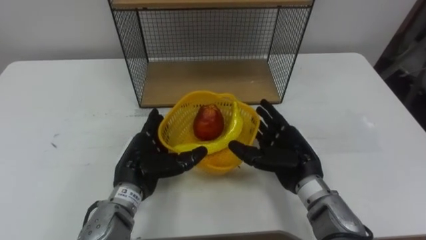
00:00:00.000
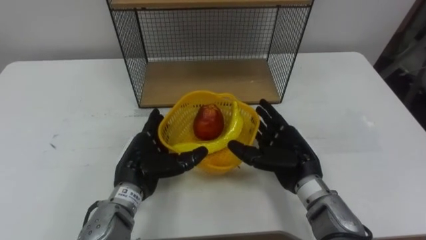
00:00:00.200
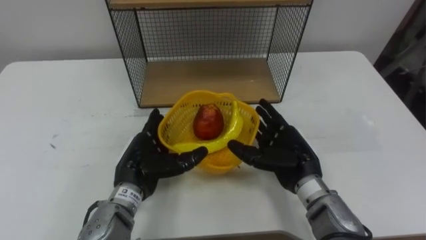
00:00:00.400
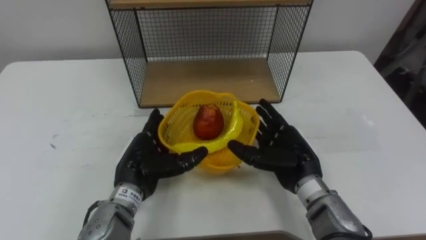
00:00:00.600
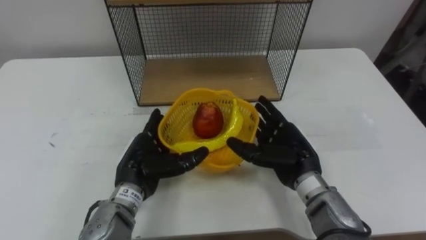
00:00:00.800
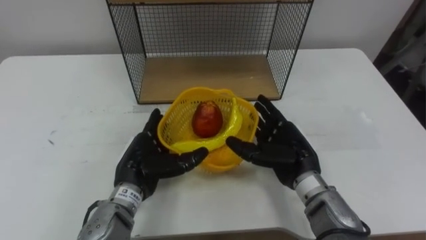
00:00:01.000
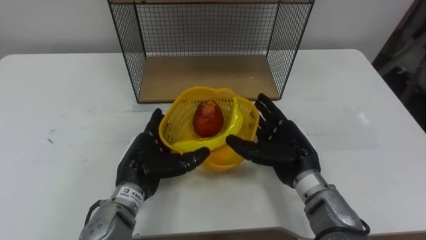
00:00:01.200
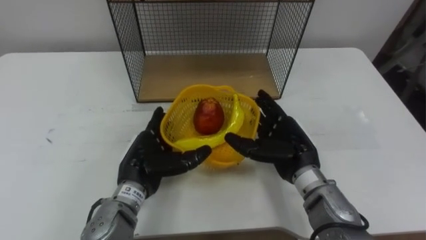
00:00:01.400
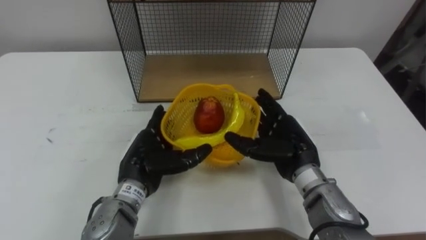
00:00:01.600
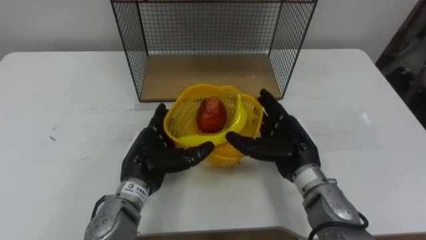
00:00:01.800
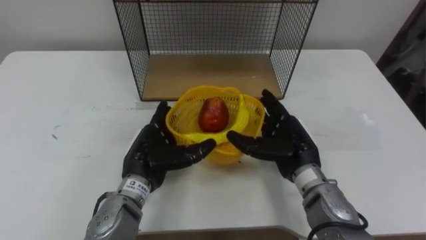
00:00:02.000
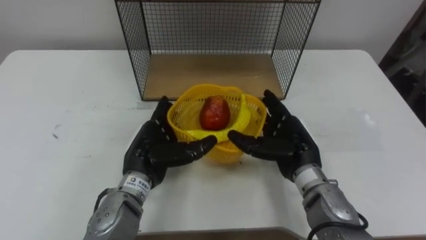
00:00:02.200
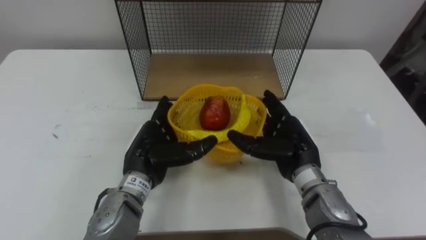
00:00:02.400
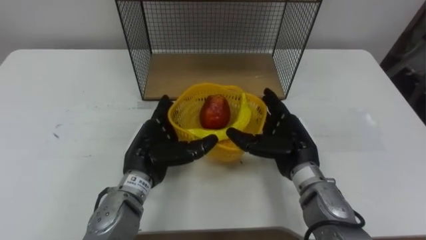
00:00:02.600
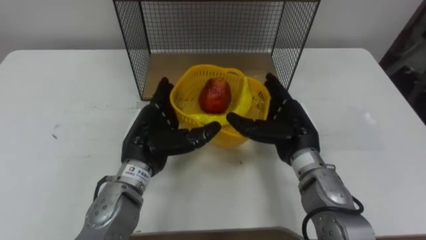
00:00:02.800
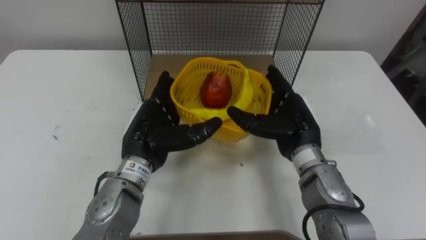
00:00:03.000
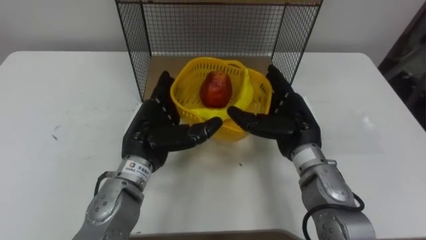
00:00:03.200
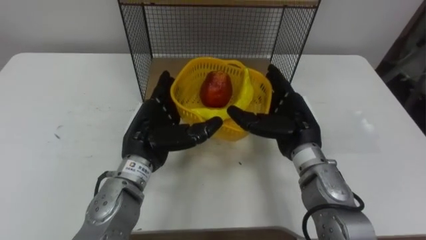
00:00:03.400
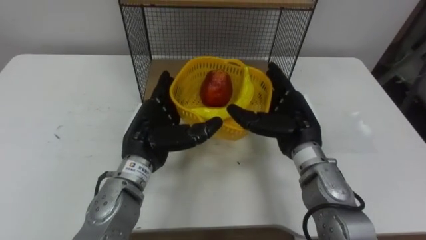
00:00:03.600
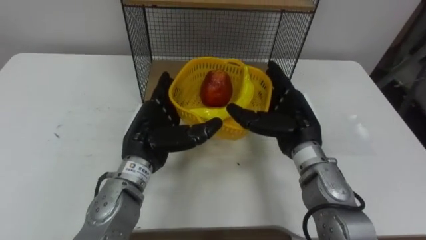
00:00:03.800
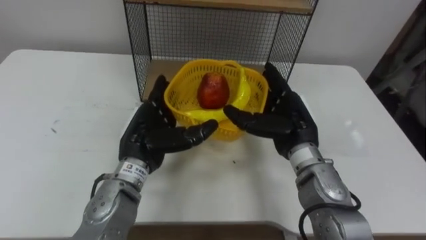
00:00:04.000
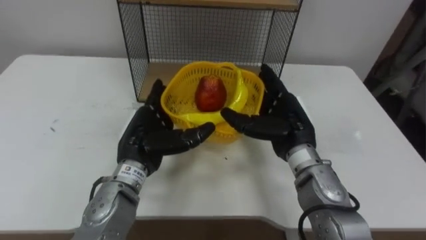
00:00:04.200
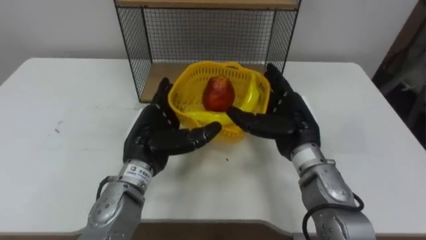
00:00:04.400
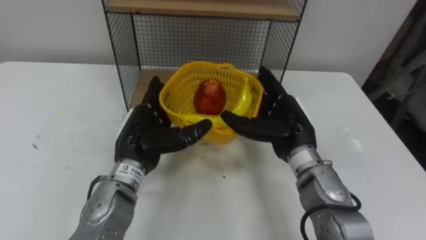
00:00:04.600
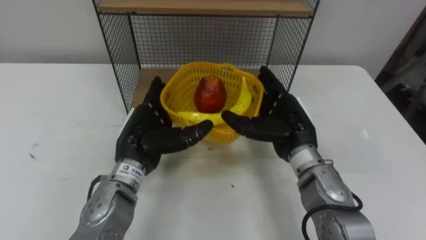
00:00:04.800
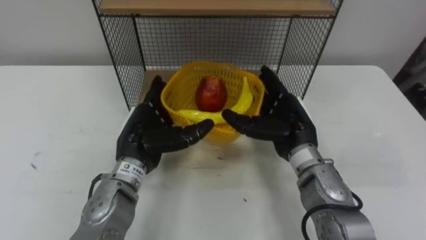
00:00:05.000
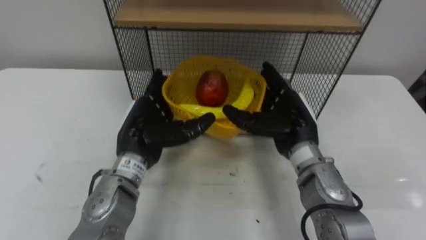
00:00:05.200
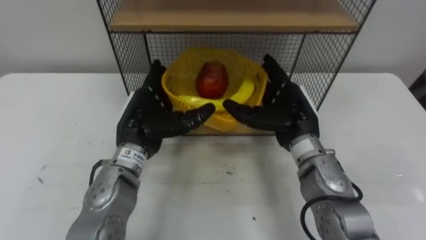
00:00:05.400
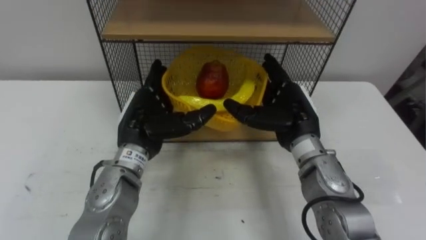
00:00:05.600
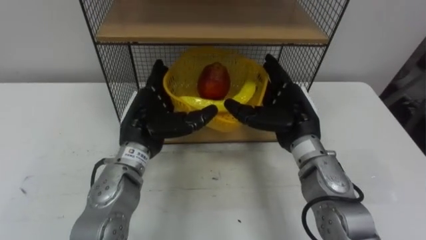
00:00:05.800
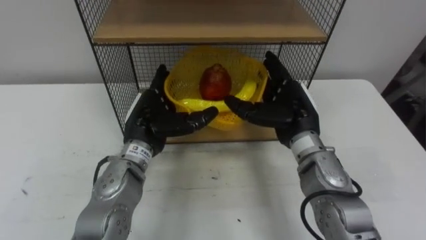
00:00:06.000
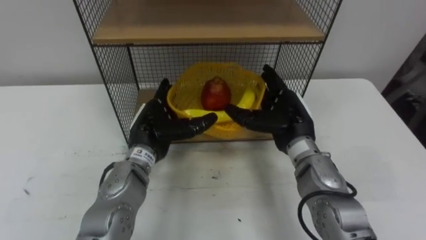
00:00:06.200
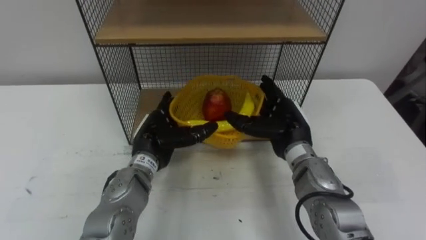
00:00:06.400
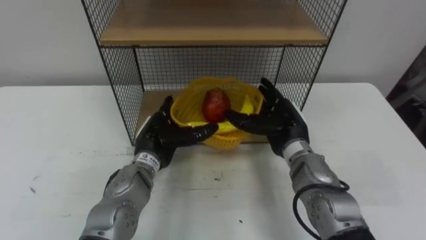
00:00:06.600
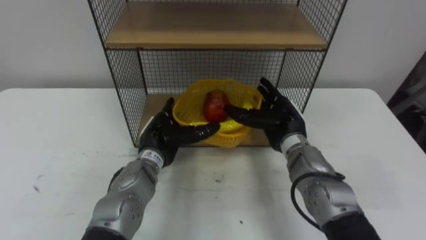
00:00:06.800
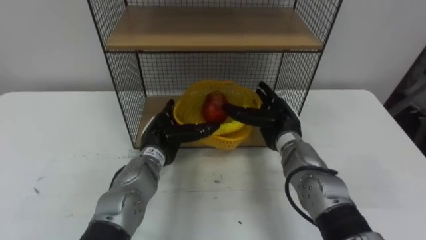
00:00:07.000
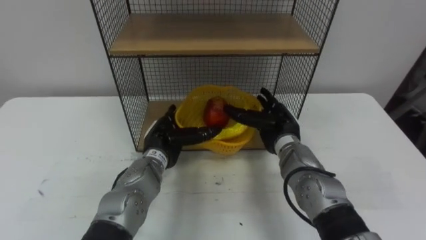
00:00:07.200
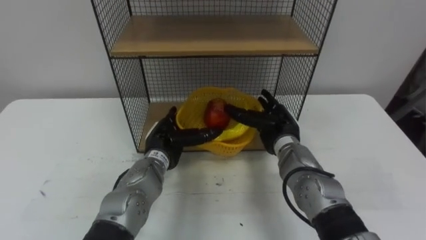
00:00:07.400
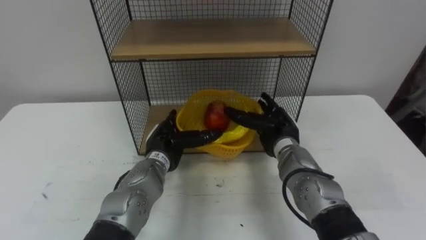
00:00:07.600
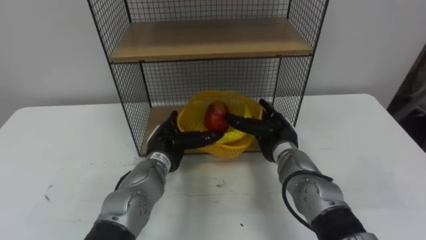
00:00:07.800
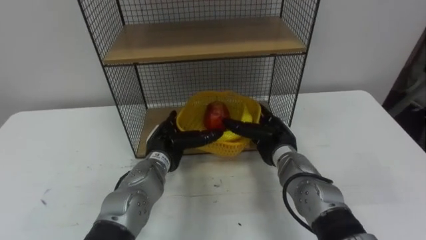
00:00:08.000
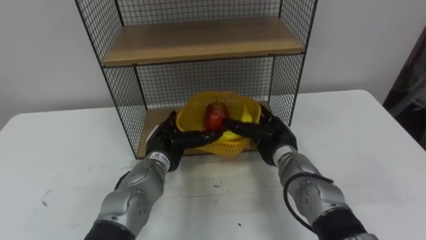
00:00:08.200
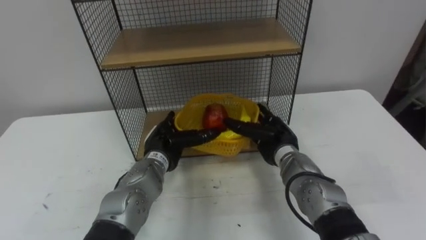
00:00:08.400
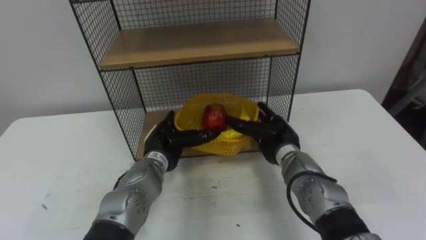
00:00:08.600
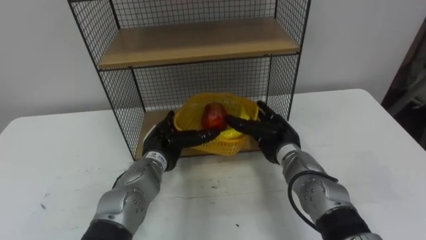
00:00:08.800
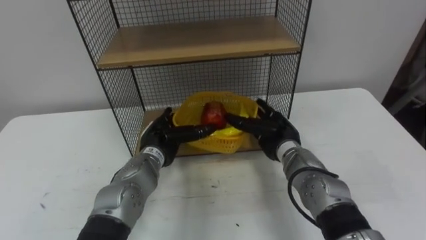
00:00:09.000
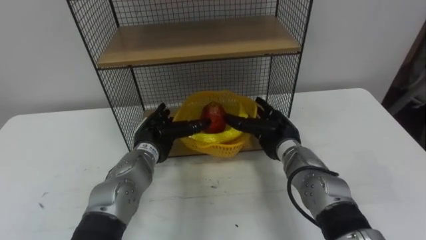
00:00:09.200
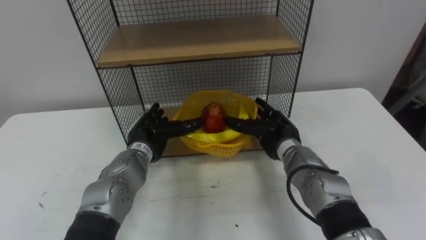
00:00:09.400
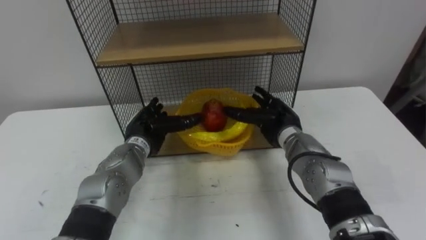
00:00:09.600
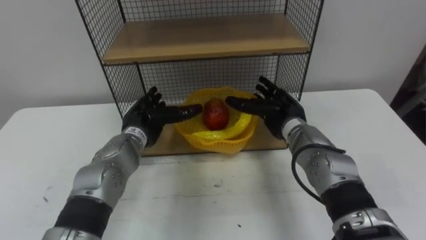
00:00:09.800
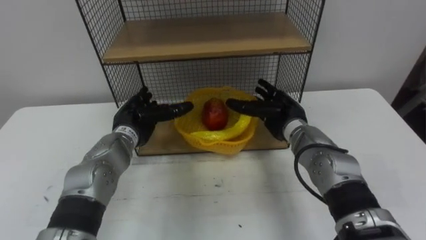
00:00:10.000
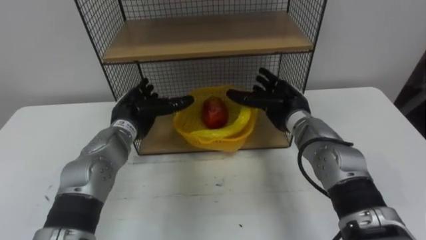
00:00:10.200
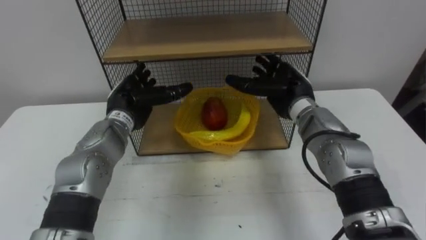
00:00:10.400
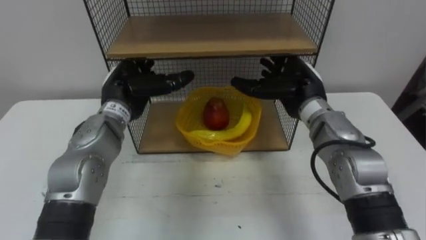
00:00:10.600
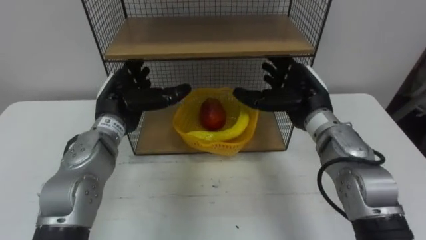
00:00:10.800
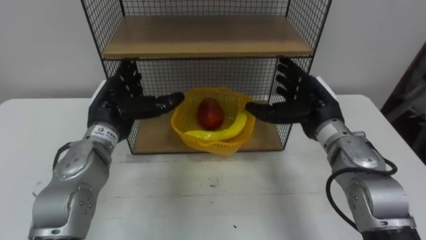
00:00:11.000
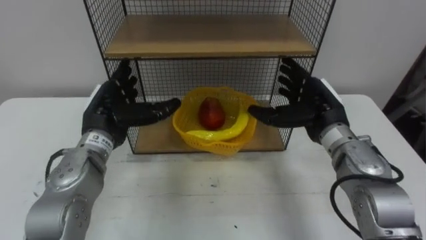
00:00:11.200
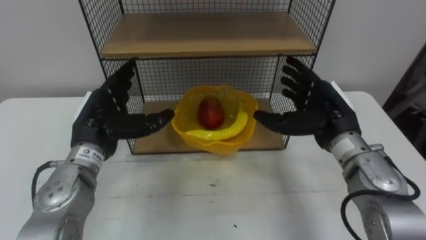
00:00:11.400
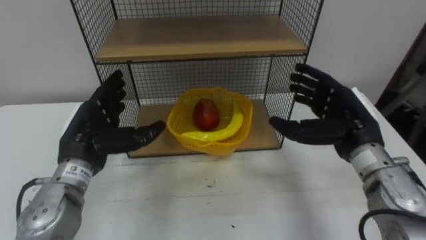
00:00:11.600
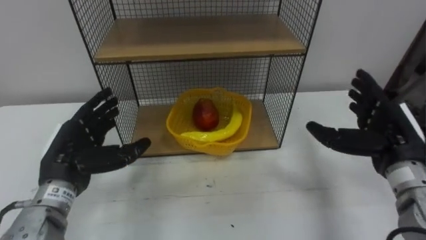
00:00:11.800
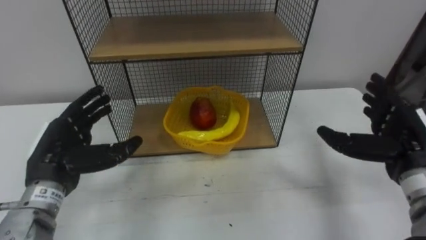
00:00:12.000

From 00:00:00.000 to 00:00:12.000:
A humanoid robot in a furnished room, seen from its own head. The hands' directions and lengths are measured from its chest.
Task of the whole recording: Put the fruit on the table into the basket, then place the basket on the shelf.
From 00:00:00.000 to 00:00:01.600: The hands move only a little.
From 00:00:01.600 to 00:00:03.000: The left hand travels upward by about 5 cm.
From 00:00:06.000 to 00:00:07.600: The two hands go some 10 cm downward.
From 00:00:09.000 to 00:00:10.400: The left hand shifts about 10 cm upward and to the left, while the right hand travels upward by about 10 cm.
From 00:00:10.400 to 00:00:12.000: The right hand moves to the right and backward, some 20 cm. The left hand is displaced backward and to the left by approximately 15 cm.

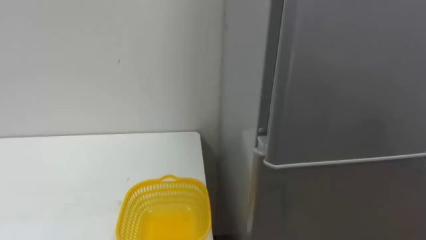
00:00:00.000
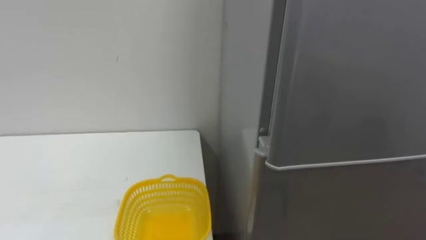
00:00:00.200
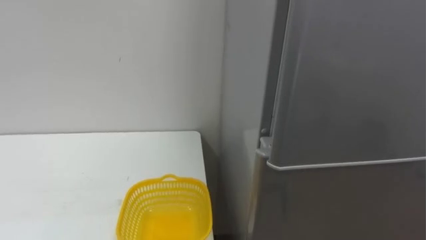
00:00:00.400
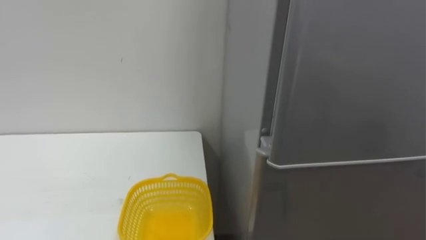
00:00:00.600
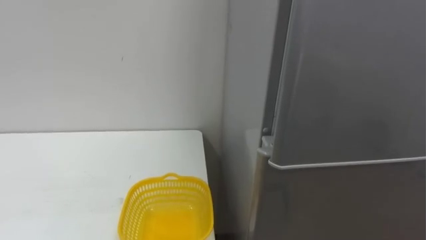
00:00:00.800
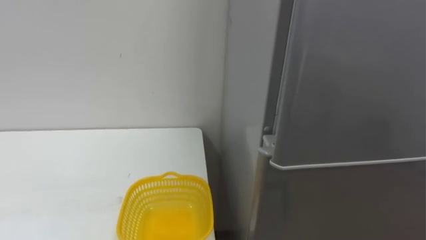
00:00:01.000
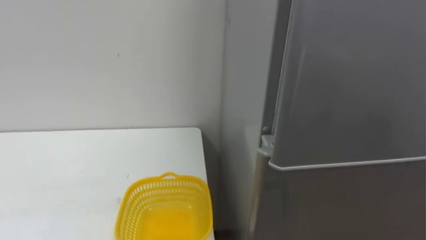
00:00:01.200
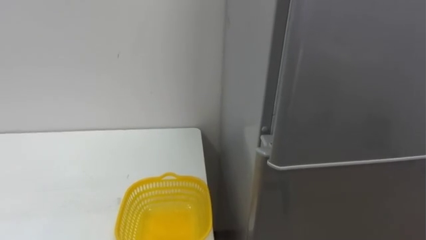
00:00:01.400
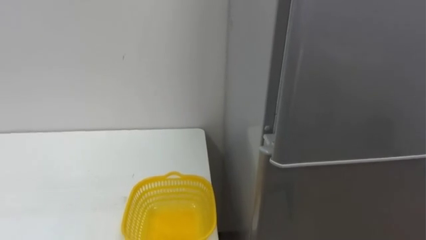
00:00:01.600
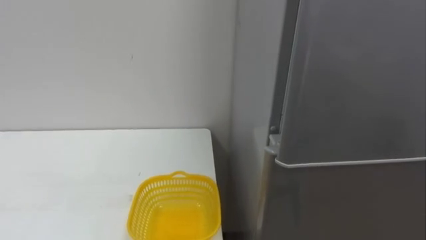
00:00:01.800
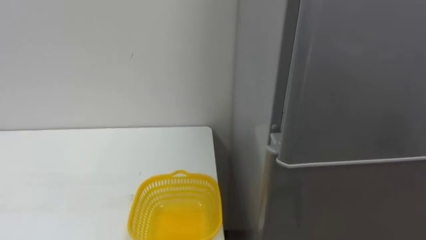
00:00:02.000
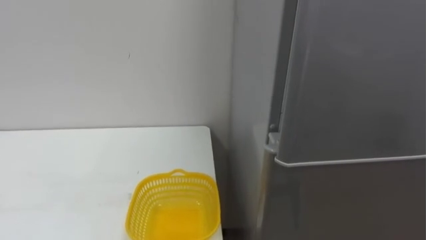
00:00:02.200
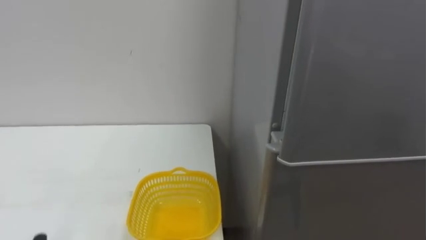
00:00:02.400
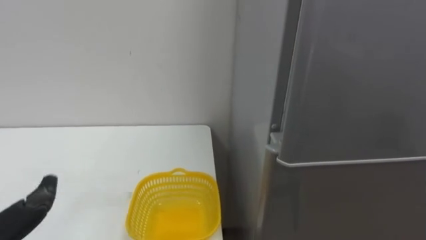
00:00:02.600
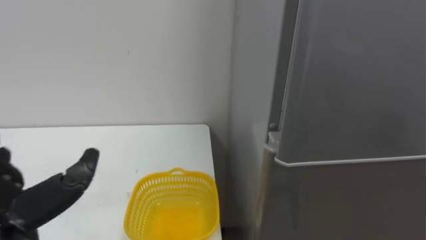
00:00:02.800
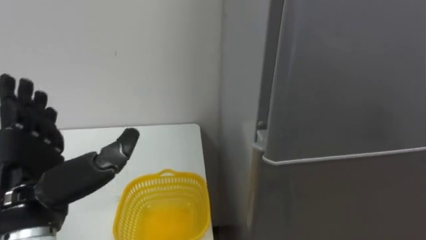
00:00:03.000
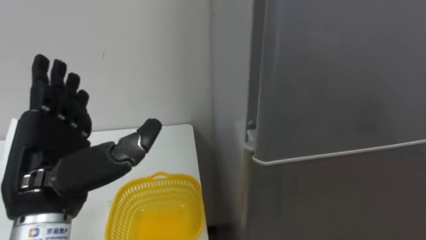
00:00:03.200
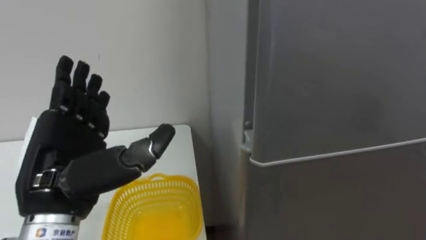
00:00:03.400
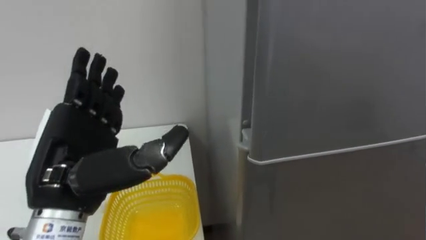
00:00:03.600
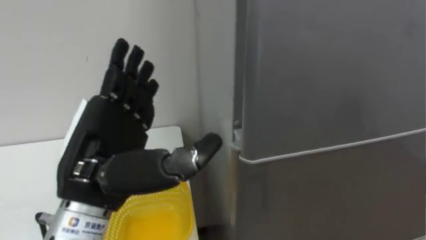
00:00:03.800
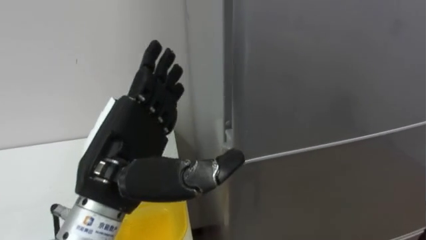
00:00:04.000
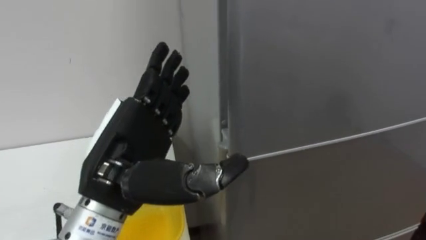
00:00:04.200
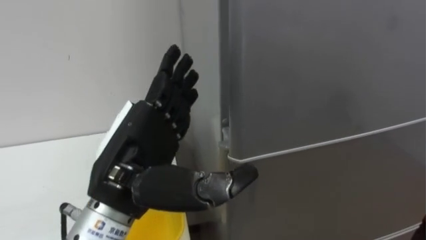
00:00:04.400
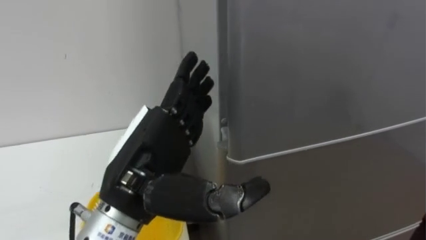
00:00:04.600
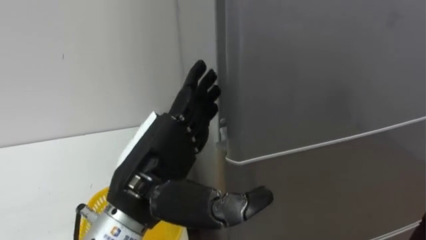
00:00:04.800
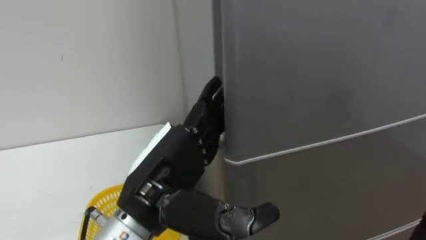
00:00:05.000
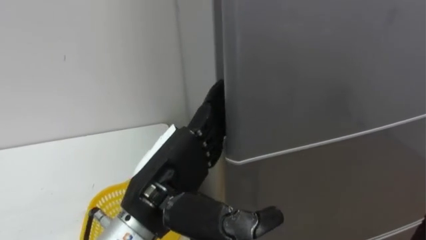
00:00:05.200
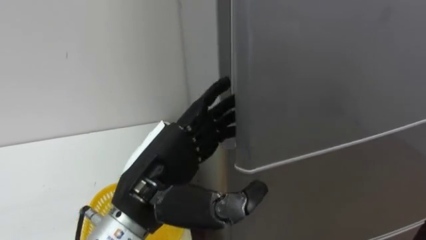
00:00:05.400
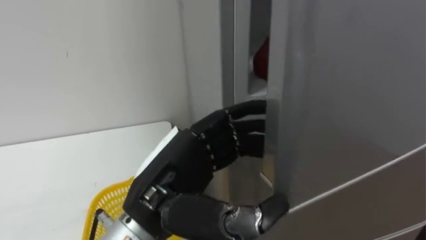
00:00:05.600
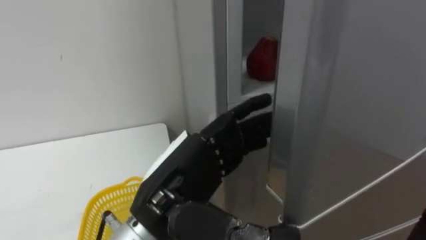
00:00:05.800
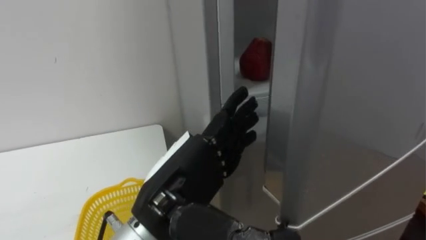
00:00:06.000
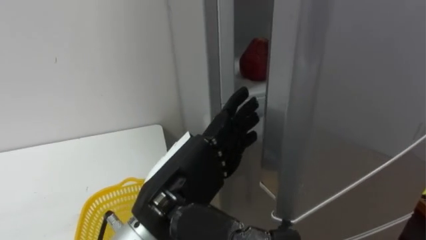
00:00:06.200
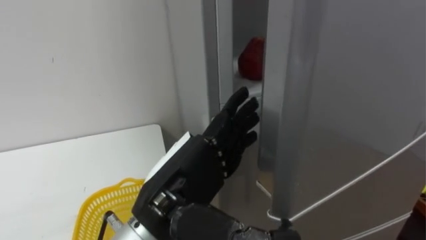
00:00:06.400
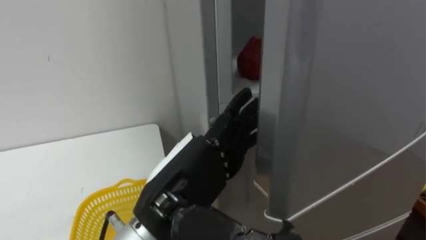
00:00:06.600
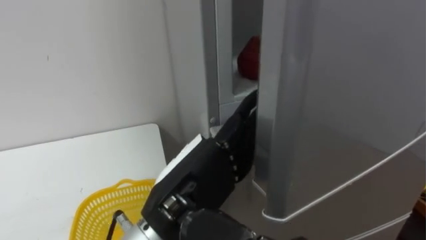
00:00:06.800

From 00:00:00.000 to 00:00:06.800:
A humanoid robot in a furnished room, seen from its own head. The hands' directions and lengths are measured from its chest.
Task of the whole recording: Open the refrigerator door, take out the apple and the pomegranate, place them in the fruit basket on the left, and close the refrigerator door.
From 00:00:04.000 to 00:00:05.400: The left hand moves some 5 cm.
